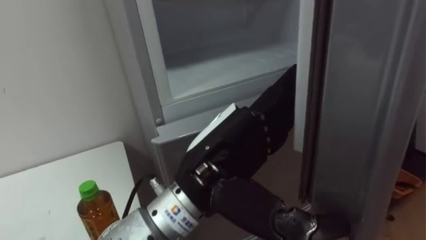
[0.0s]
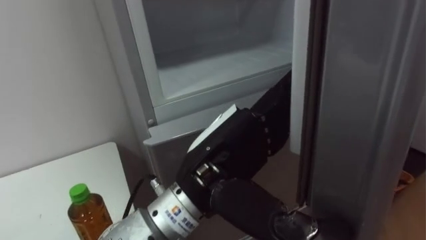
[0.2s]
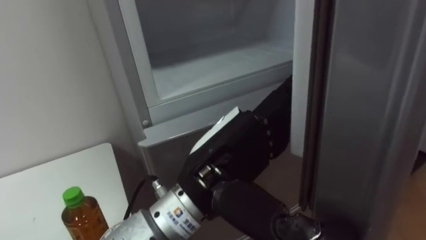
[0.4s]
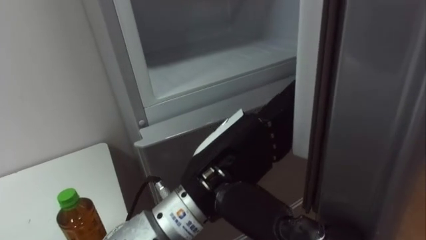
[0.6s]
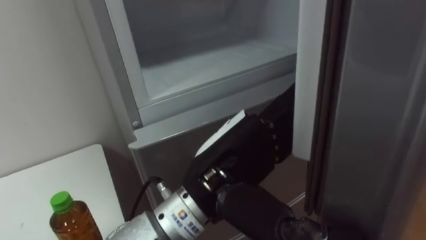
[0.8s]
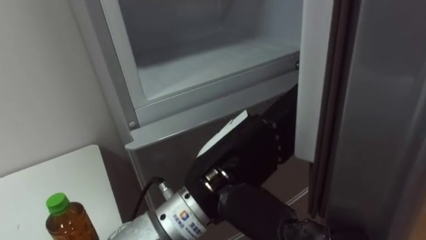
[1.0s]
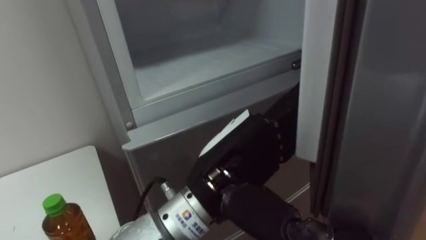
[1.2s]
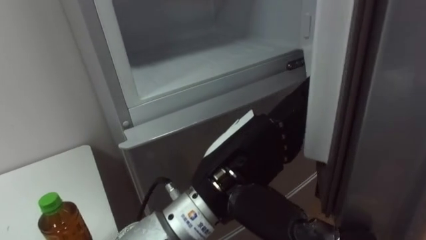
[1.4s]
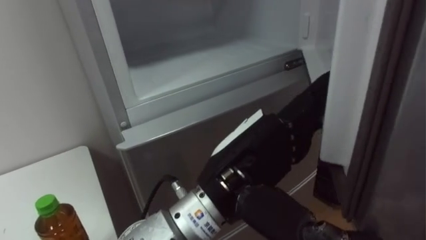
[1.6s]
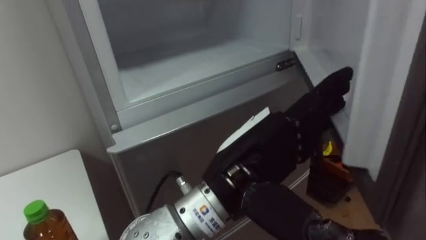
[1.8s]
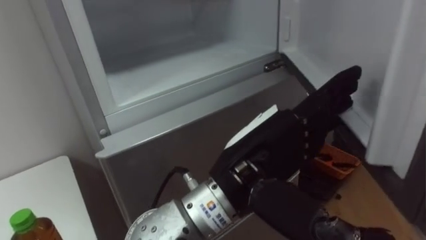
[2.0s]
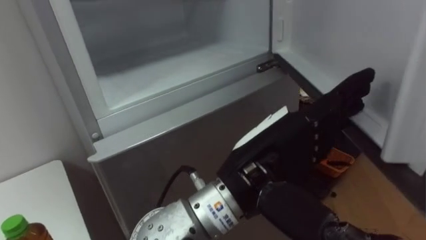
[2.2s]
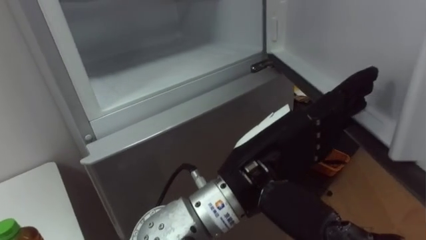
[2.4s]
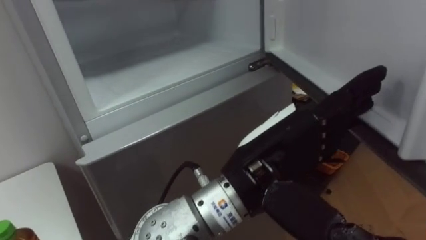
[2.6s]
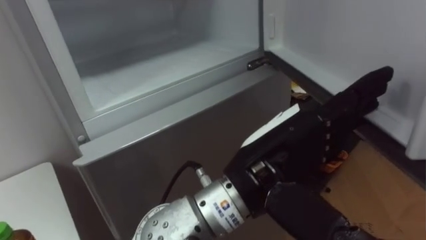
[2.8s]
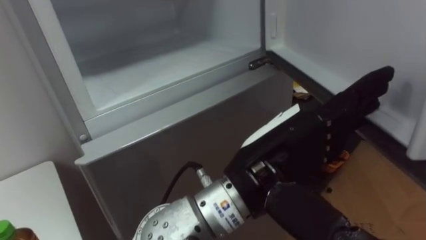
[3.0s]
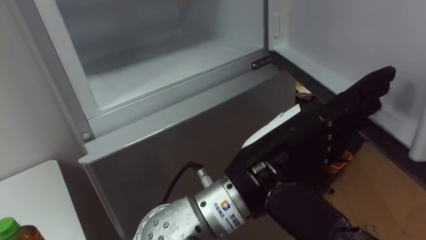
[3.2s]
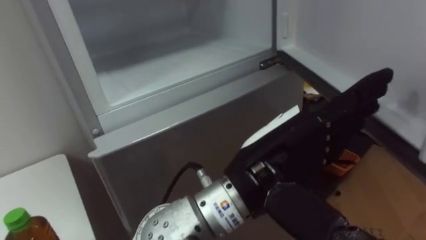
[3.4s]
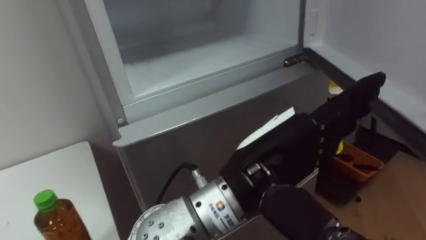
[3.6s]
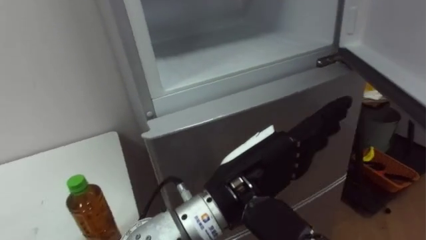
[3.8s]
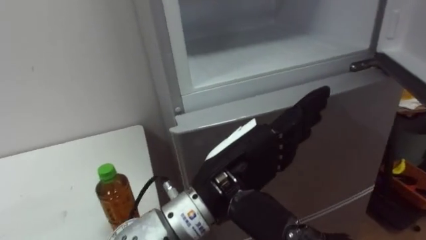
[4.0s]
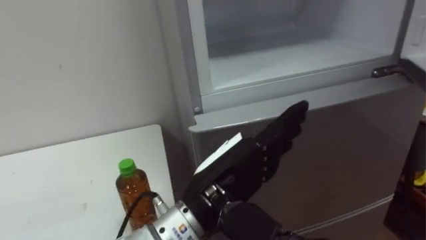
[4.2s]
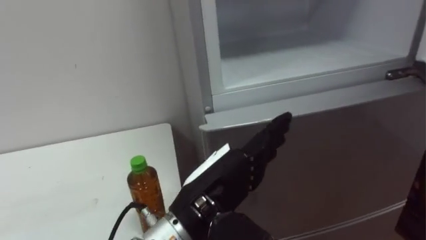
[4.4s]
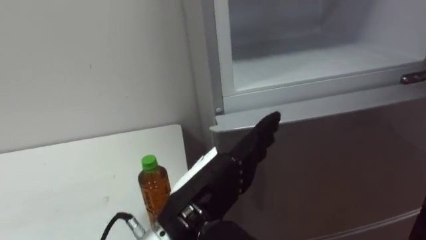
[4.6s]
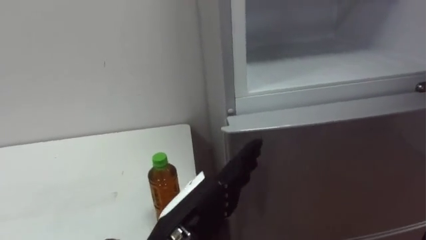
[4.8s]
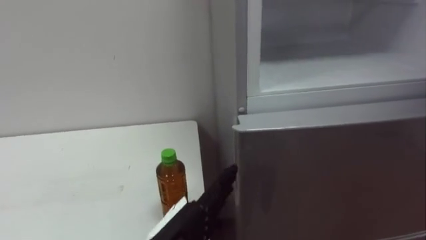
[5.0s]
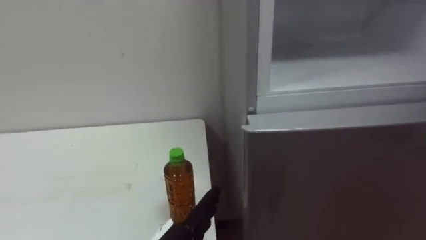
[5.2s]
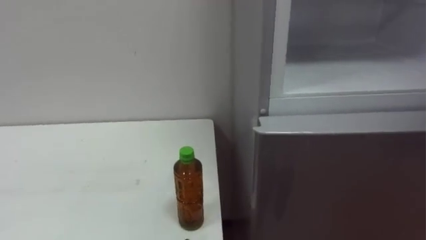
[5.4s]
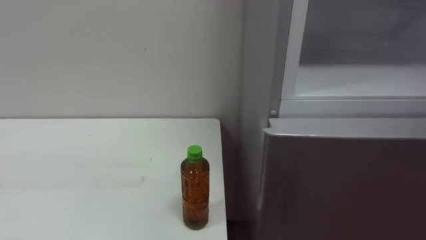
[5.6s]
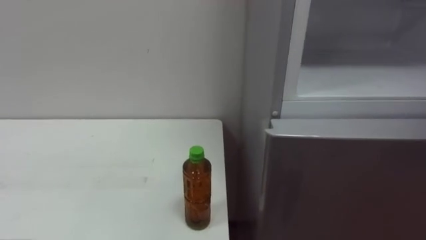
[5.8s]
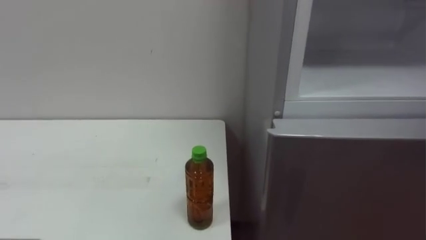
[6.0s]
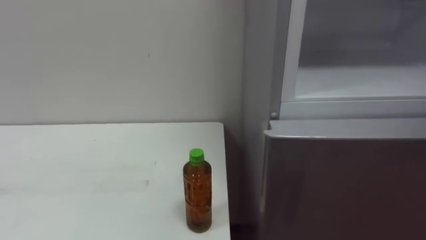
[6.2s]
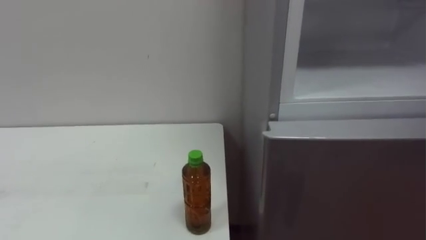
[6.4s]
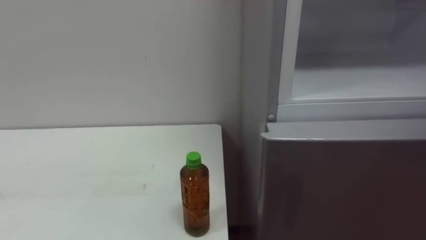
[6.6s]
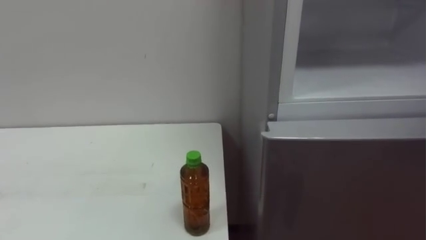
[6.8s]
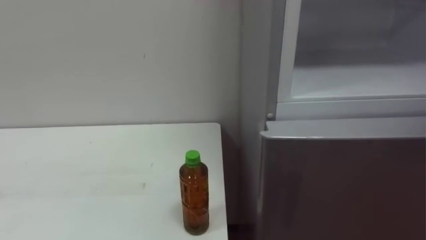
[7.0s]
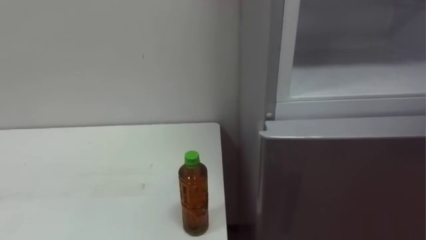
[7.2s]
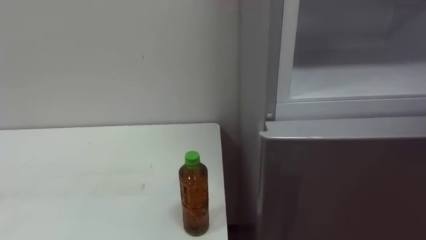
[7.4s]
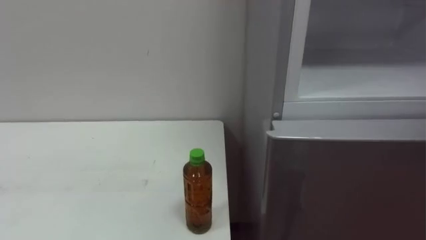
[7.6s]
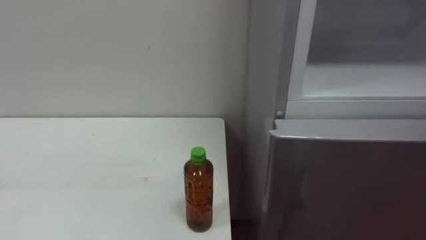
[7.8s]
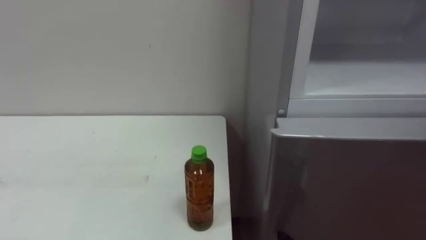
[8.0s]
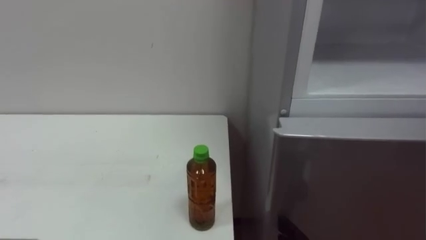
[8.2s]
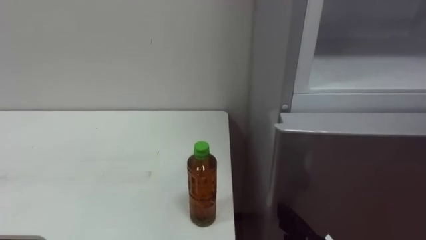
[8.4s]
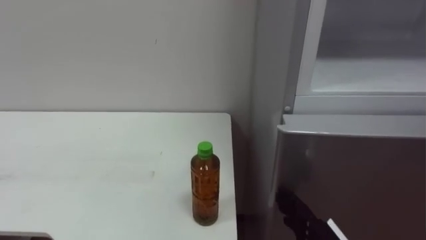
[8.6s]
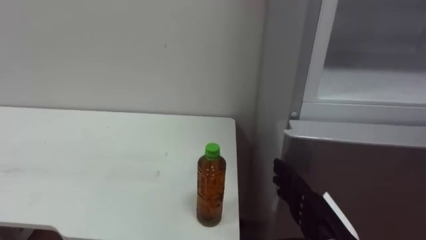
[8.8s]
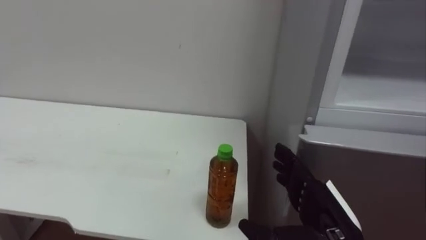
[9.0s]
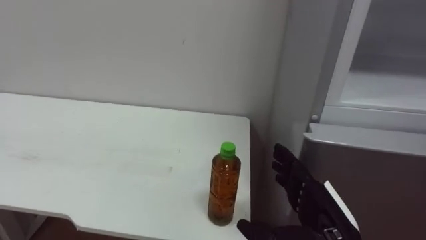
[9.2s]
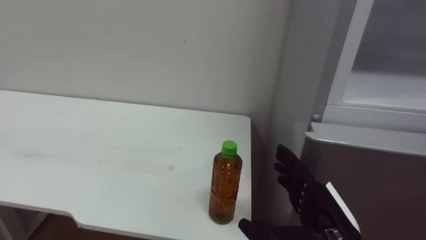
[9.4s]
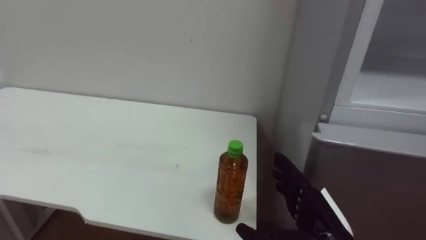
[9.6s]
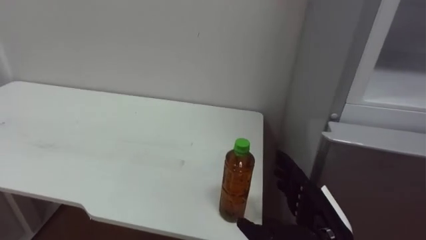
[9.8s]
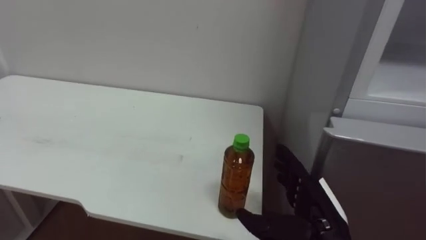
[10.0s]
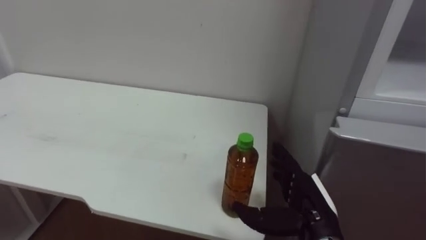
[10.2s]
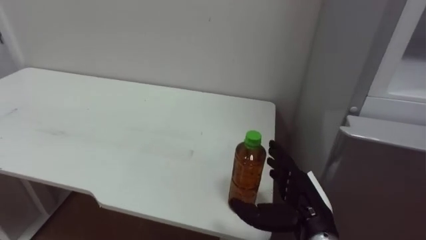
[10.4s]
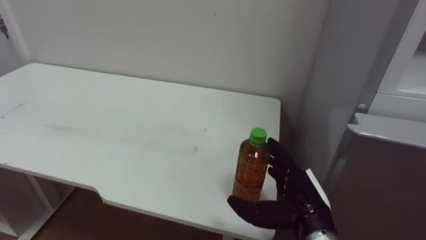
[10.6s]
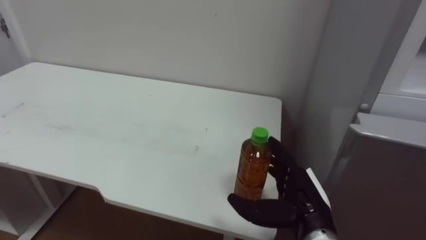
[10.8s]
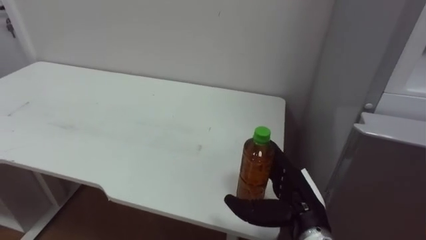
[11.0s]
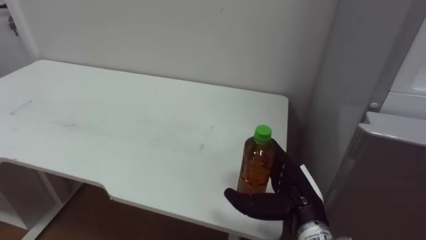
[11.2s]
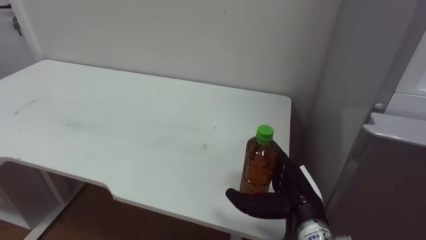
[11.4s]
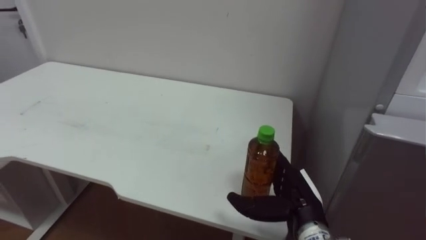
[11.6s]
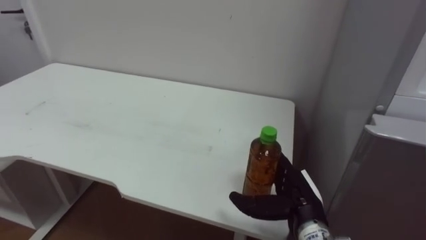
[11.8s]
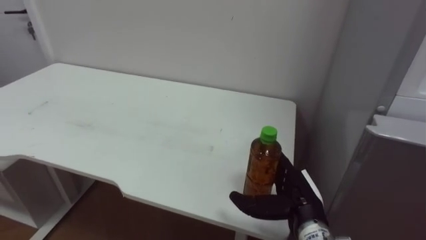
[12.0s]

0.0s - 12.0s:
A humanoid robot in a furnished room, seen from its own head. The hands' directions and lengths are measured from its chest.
Task of the whole recording: Open the upper refrigerator door, put the drink from the table into the refrigerator, and then close the refrigerator door.
3.0s - 4.4s: The left hand shifts approximately 10 cm downward and to the left.
9.0s - 10.4s: The right hand ends up about 5 cm from where it was.

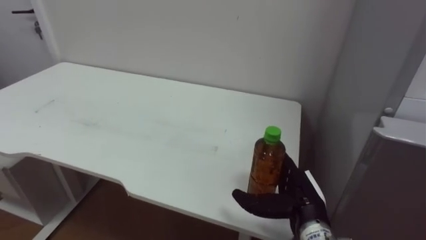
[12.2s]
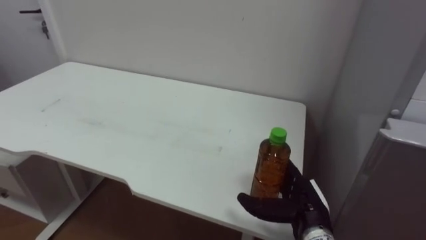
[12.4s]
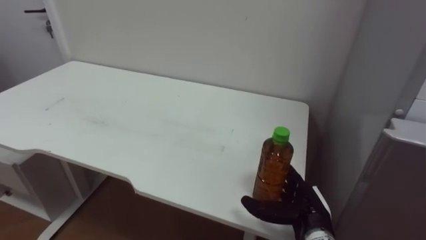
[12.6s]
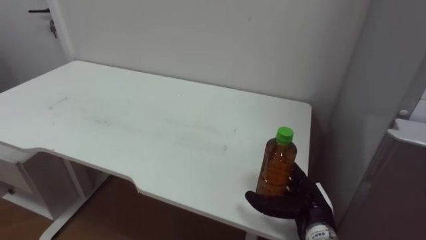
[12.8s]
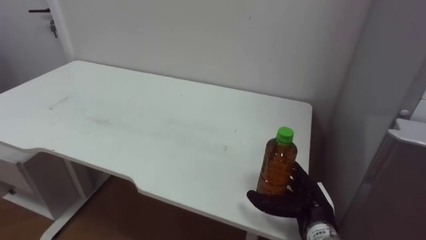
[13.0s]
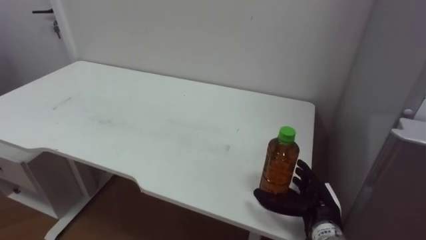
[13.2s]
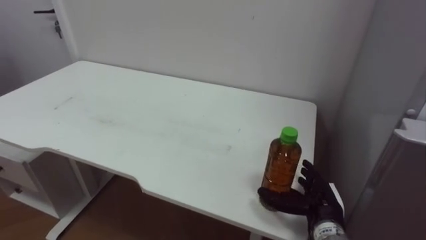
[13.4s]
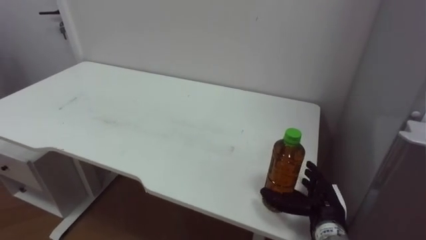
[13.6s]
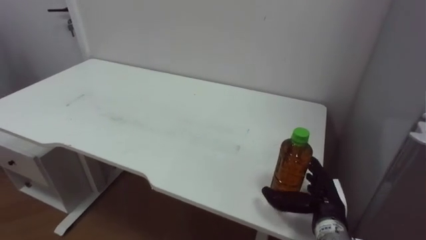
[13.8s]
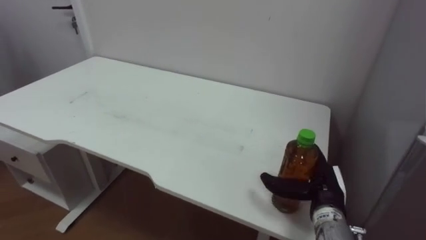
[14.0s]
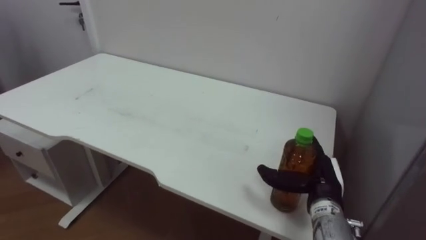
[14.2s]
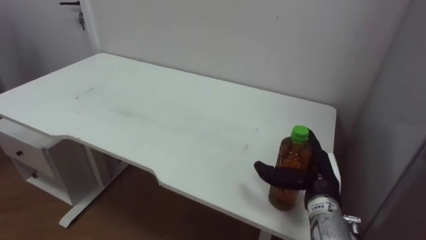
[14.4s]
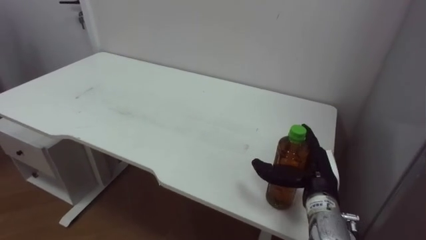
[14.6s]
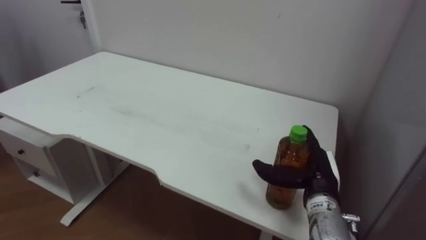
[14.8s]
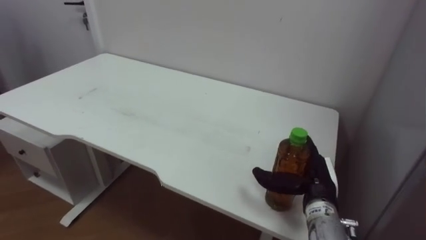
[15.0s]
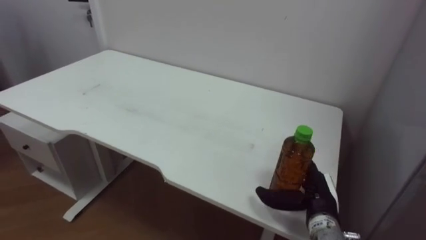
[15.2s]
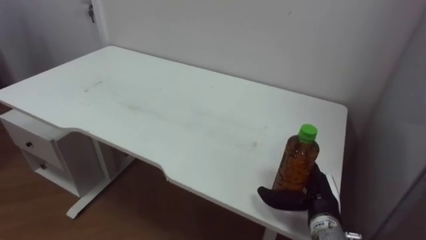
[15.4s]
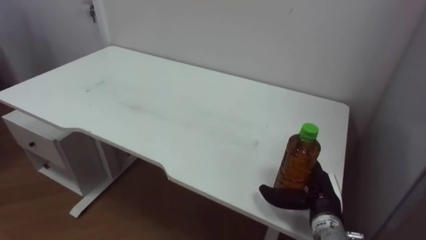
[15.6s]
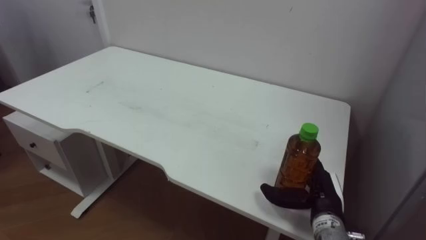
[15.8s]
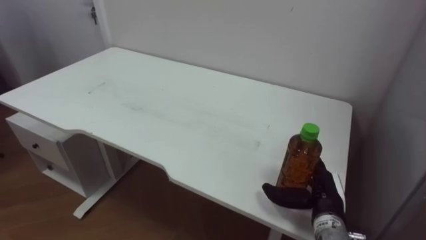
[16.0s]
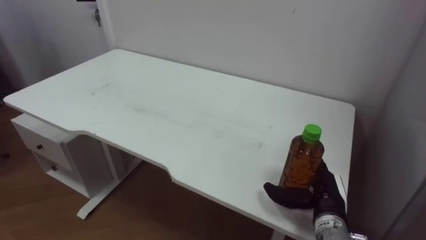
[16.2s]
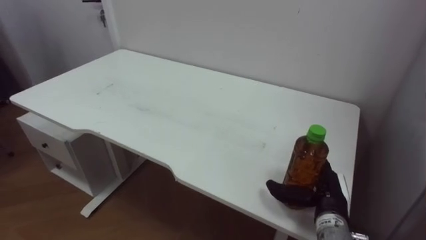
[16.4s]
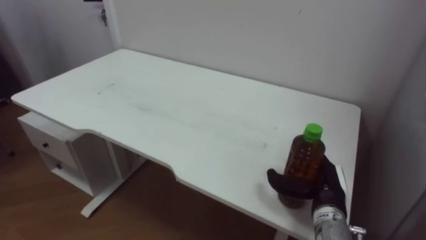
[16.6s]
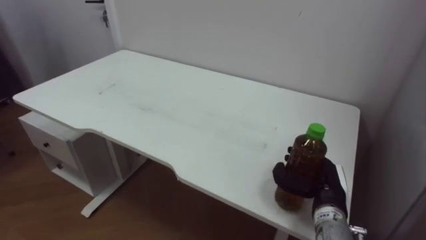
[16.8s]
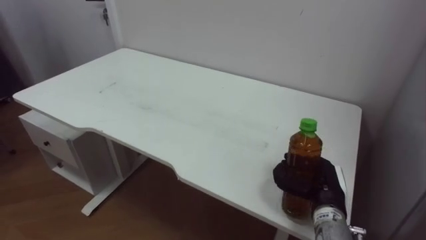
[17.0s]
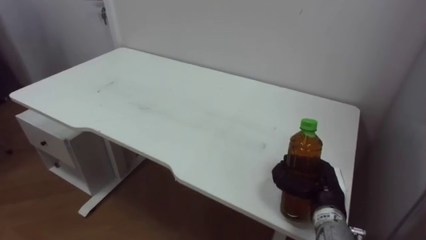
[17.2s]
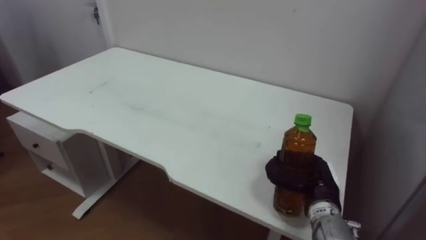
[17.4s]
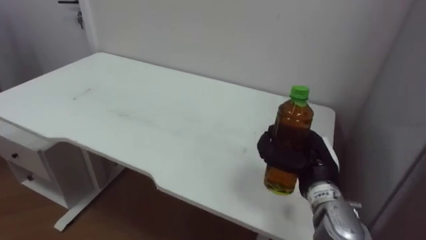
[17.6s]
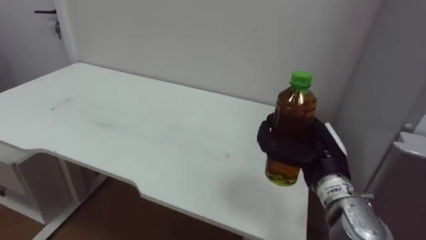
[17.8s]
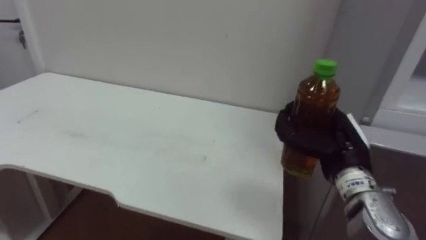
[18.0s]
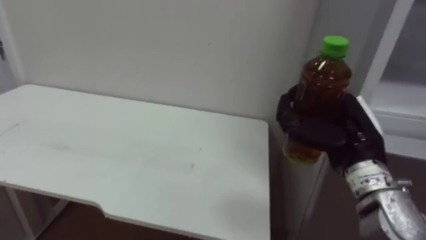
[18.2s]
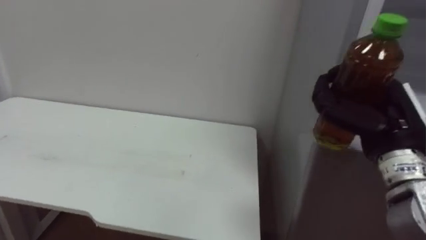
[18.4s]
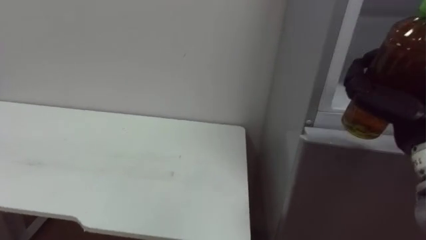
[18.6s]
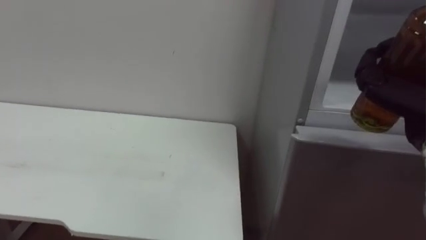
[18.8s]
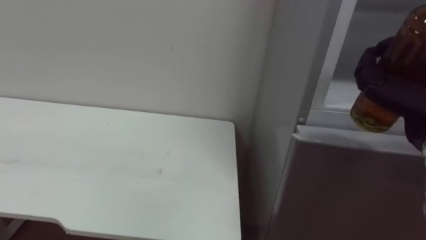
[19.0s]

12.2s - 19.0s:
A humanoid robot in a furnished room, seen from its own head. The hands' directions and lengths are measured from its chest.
Task of the whole recording: Open the upper refrigerator door, put the drink from the table into the refrigerator, and then close the refrigerator door.
12.2s - 13.6s: The right hand changes place by approximately 5 cm.
13.6s - 15.0s: The right hand shifts some 5 cm upward.
16.2s - 17.6s: The right hand goes roughly 10 cm upward, and closes.
